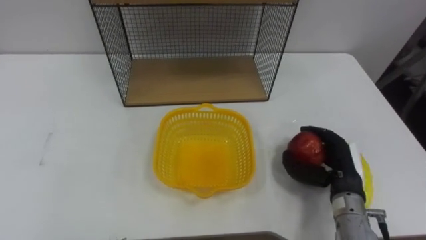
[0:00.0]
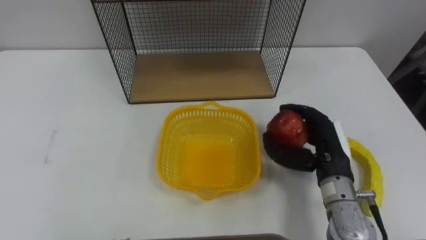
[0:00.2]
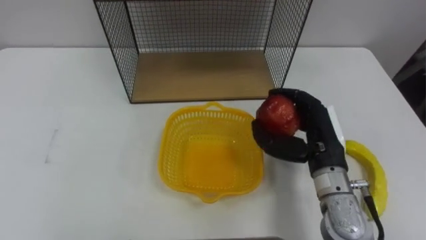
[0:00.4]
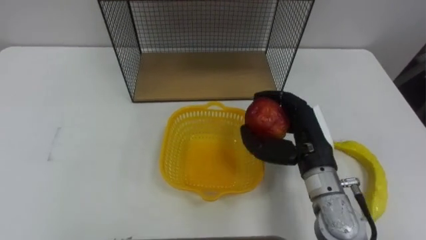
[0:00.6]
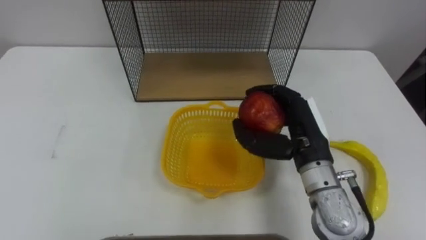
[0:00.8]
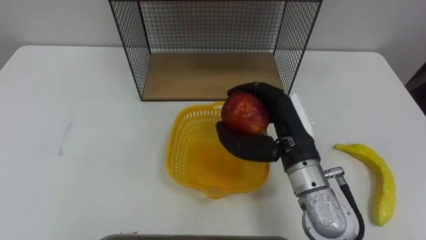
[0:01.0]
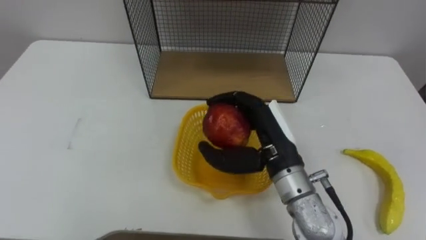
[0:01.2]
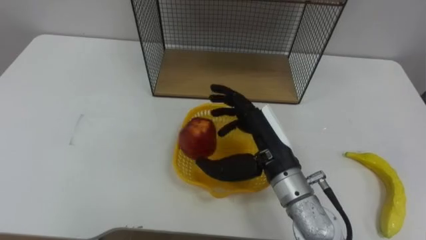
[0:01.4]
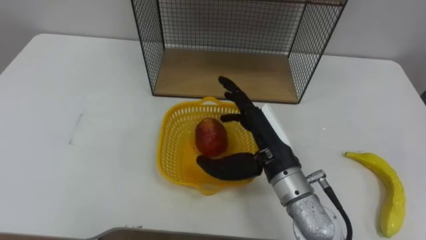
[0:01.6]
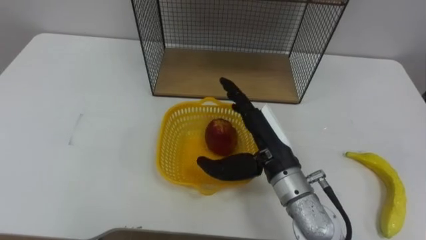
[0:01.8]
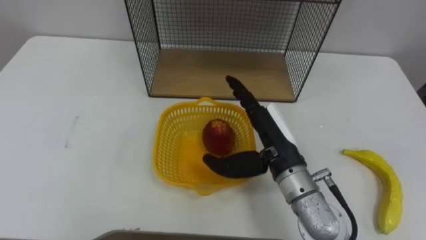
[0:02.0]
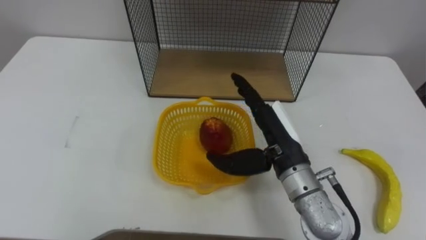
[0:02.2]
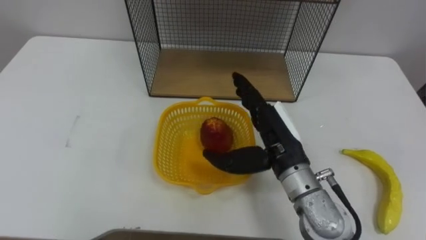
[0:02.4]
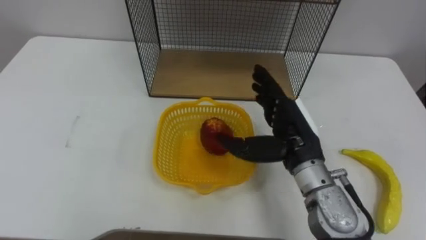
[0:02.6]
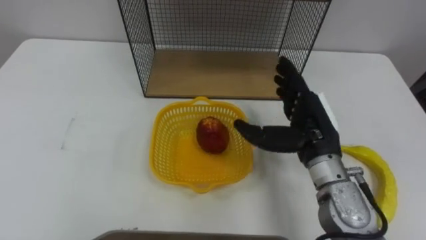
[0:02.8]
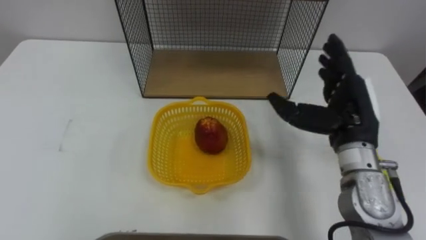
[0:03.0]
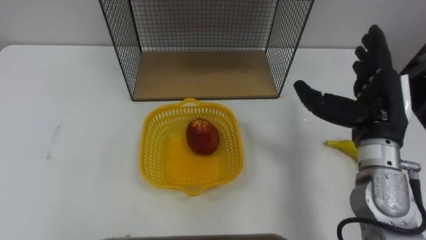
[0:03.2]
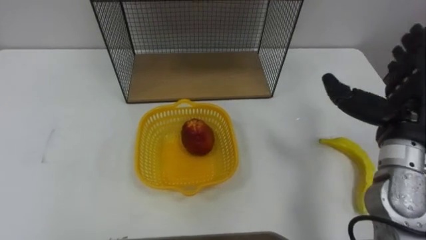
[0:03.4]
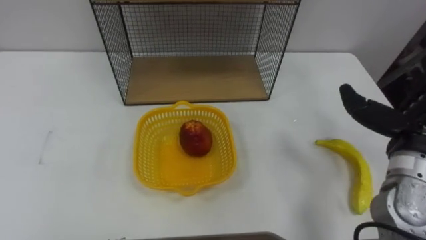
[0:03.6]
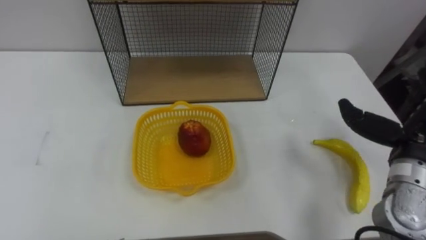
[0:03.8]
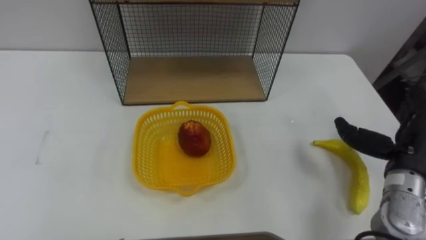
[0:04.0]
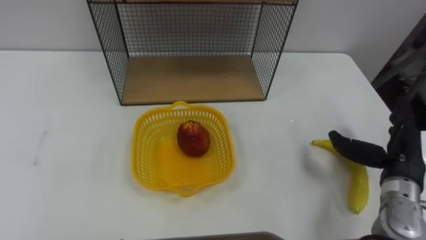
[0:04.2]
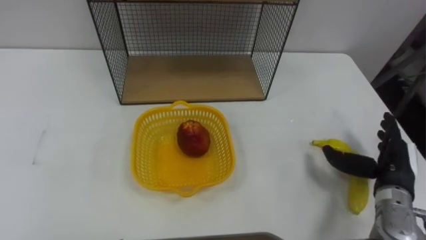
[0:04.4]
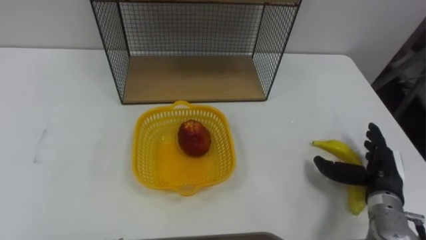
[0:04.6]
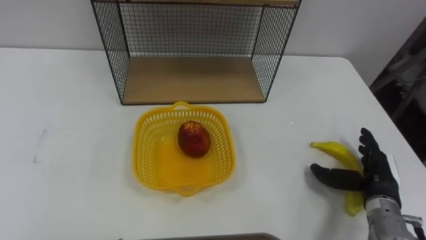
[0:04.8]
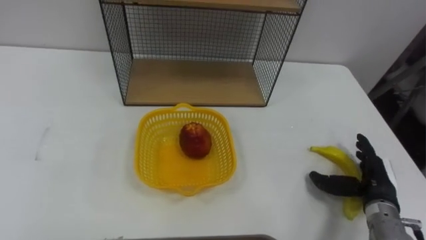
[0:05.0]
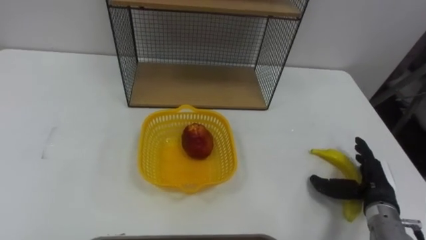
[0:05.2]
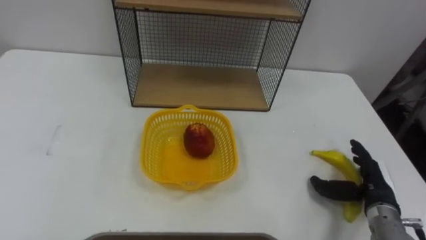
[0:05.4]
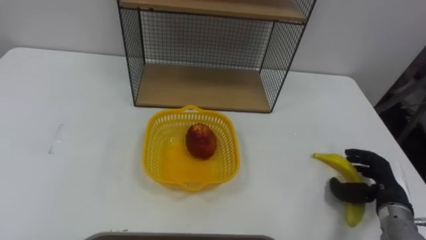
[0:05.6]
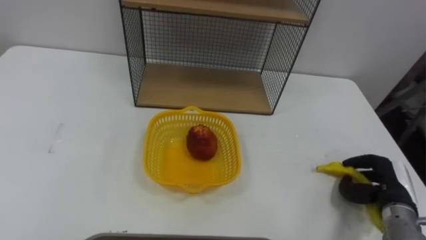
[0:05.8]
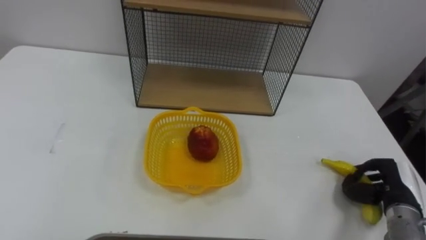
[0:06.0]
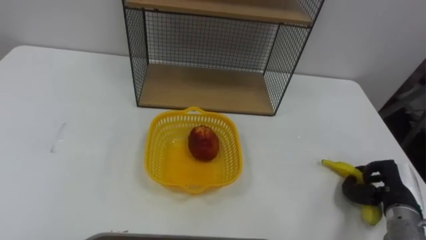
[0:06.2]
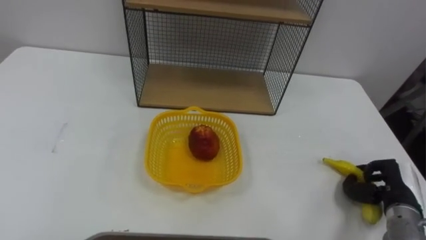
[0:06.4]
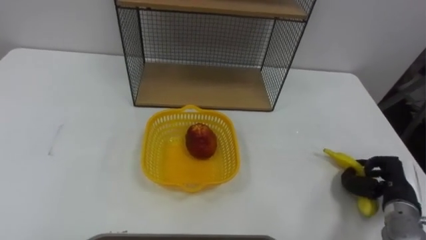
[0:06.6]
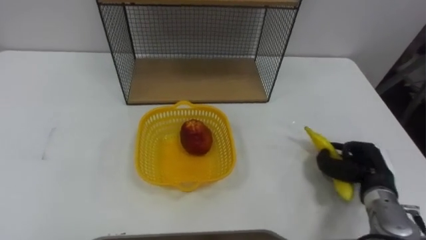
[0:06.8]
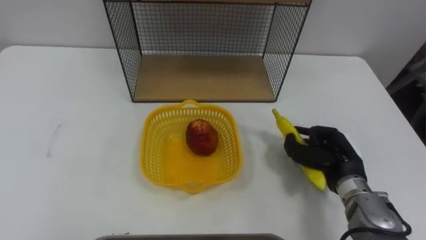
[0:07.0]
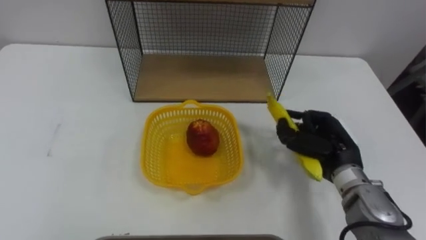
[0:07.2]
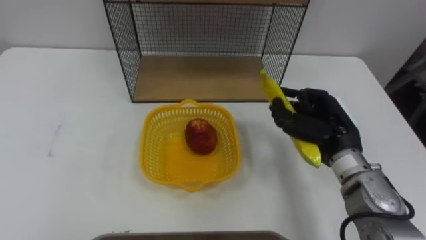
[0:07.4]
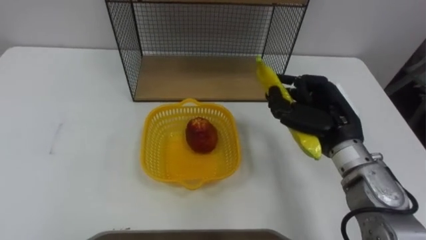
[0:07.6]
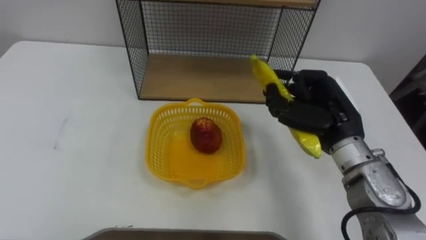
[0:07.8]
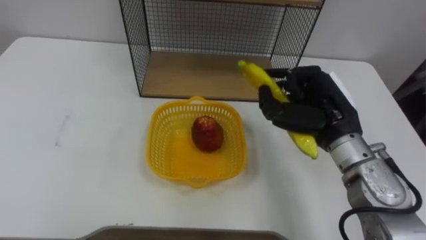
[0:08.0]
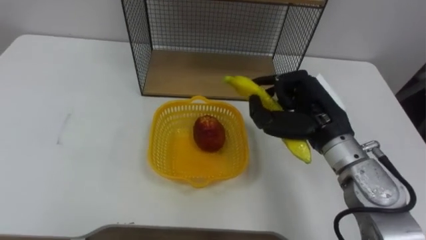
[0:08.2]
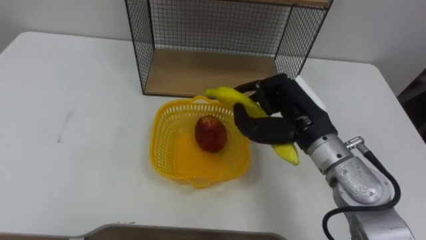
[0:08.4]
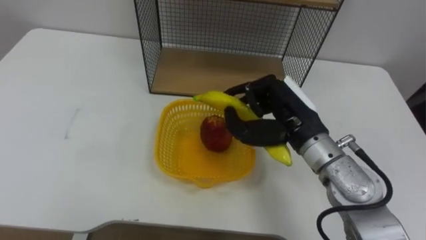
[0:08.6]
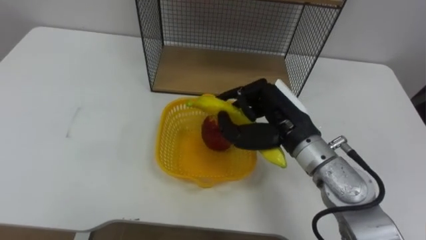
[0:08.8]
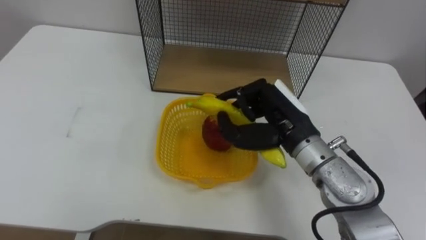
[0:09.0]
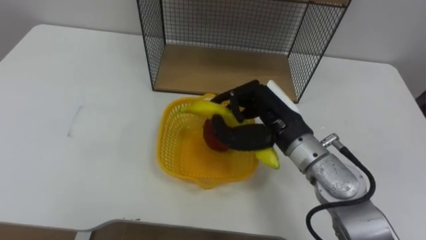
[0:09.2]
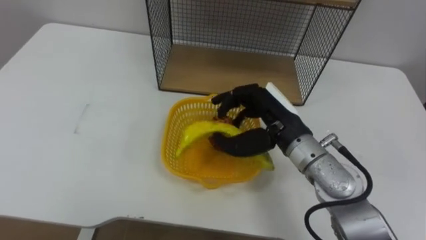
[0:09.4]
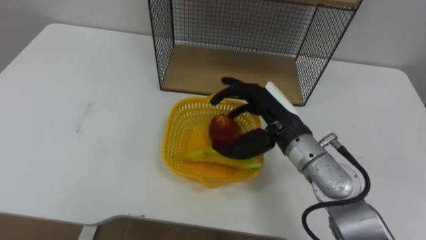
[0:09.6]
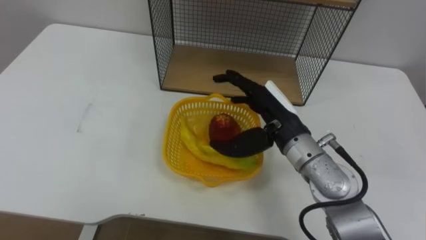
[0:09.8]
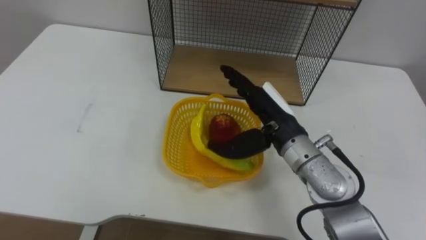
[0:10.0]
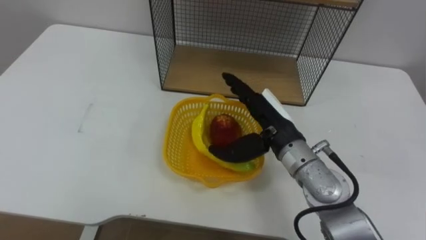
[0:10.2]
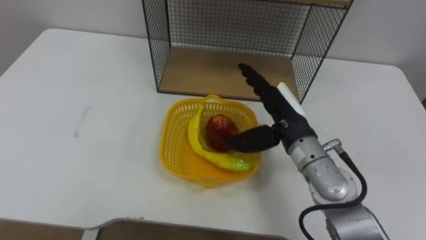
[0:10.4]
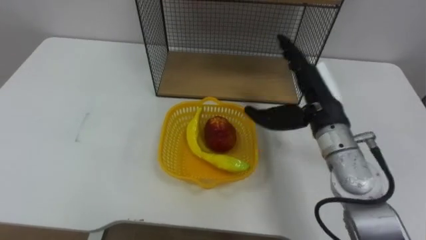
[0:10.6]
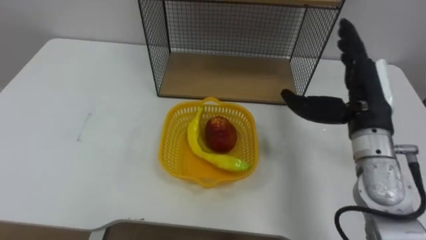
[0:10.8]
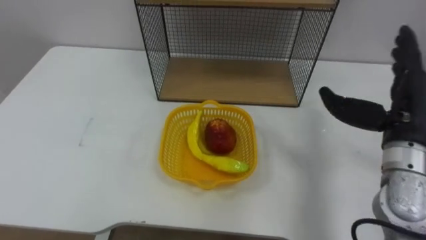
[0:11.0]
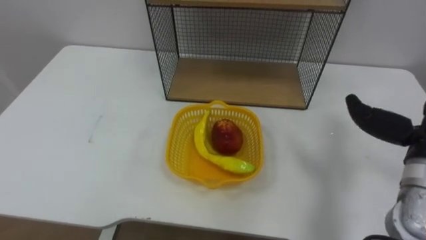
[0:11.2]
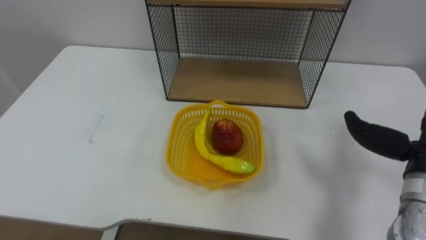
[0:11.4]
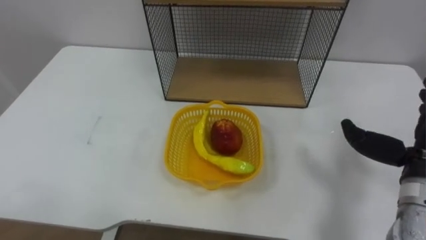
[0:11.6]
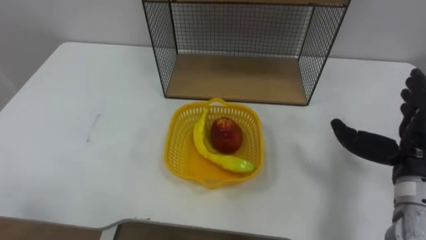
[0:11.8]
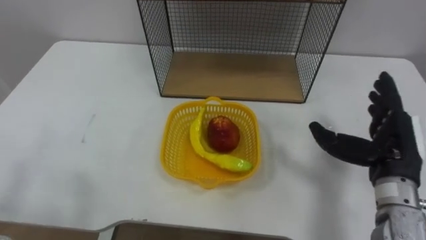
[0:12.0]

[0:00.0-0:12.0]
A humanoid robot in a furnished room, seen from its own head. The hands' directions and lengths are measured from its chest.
Task of the whole recording: Put the fruit on the table into the basket, then place the basket on the shelf.
0.0 to 1.6 s: The right hand moves to the left and upward, some 20 cm, and opens.
1.6 to 3.0 s: The right hand shifts some 10 cm to the right.
3.0 to 4.4 s: The right hand travels to the right and downward by about 15 cm.
4.4 to 6.0 s: The right hand goes approximately 5 cm downward, and closes its fingers.
6.0 to 7.6 s: The right hand is displaced upward, to the left and forward by about 25 cm.
7.6 to 9.0 s: The right hand travels to the left by approximately 10 cm.
9.0 to 10.4 s: The right hand opens.

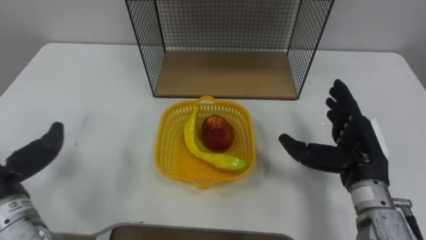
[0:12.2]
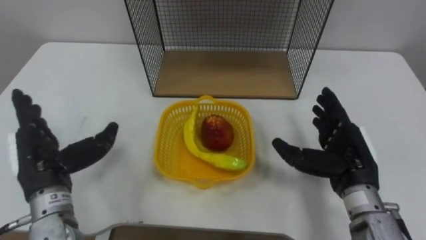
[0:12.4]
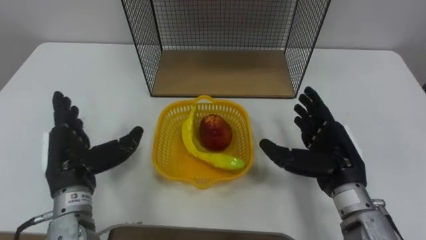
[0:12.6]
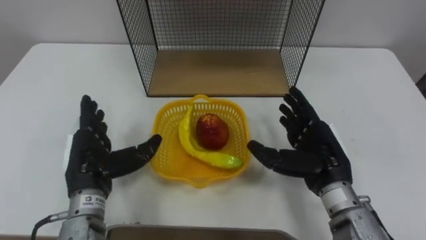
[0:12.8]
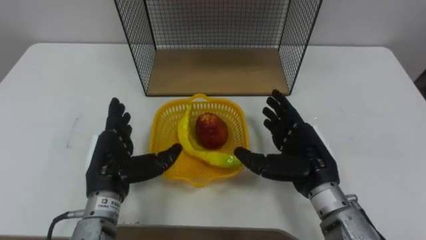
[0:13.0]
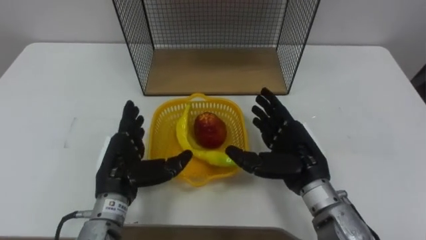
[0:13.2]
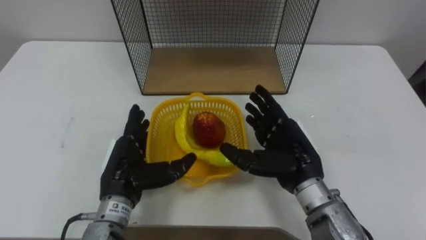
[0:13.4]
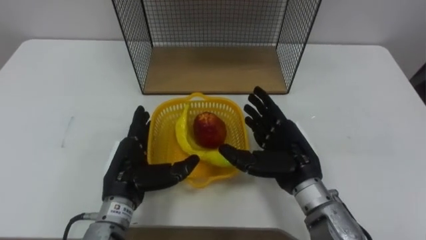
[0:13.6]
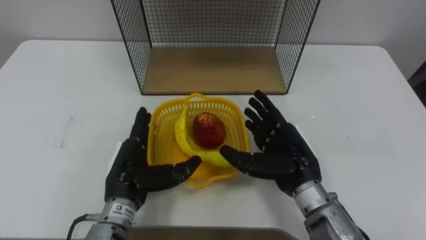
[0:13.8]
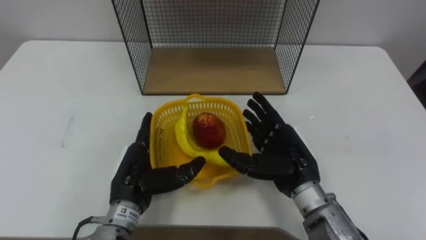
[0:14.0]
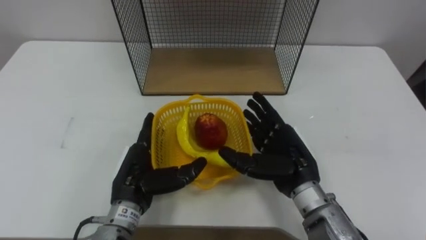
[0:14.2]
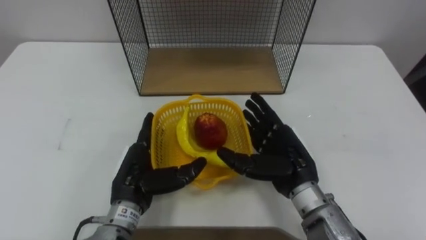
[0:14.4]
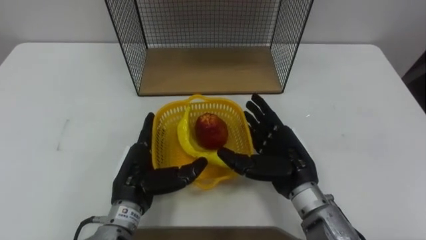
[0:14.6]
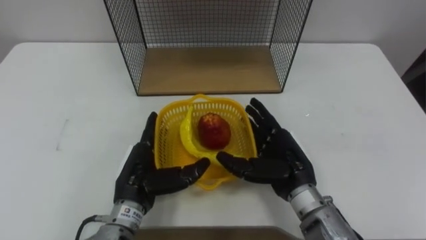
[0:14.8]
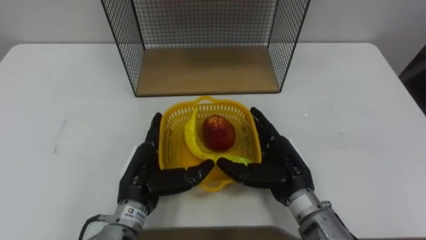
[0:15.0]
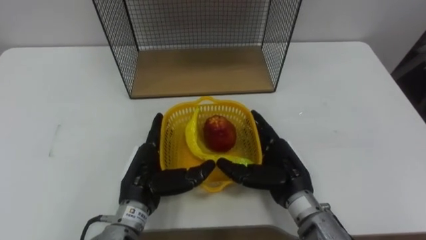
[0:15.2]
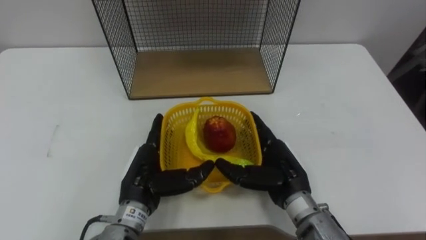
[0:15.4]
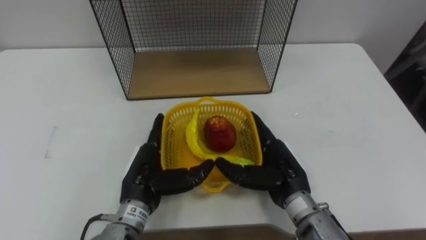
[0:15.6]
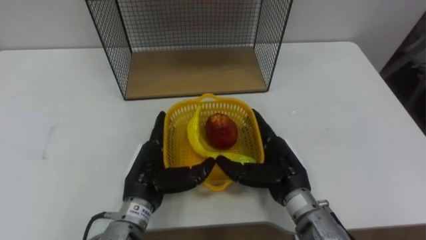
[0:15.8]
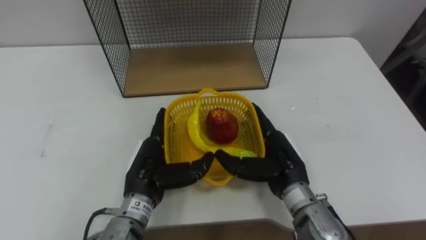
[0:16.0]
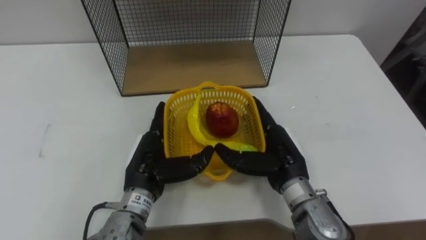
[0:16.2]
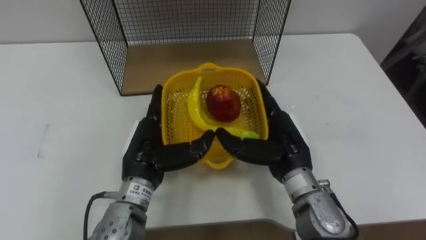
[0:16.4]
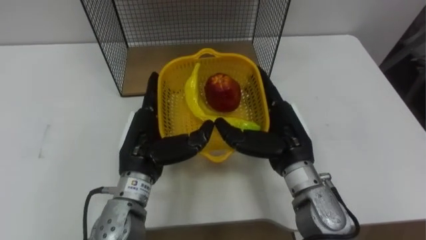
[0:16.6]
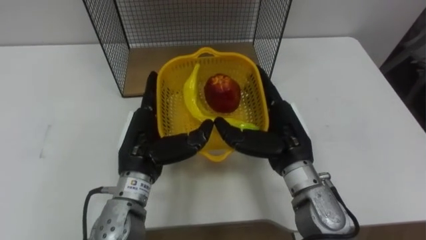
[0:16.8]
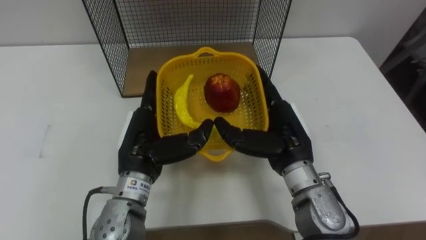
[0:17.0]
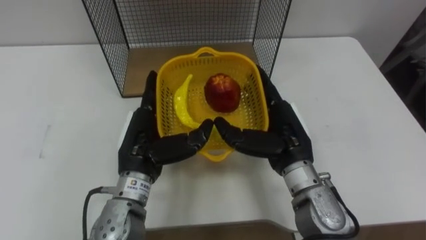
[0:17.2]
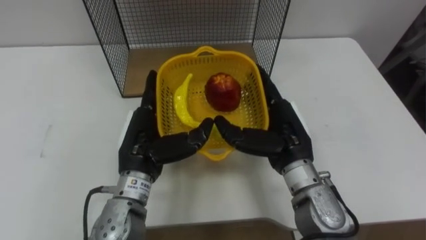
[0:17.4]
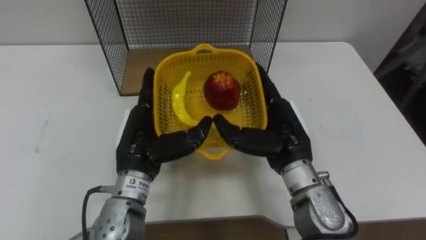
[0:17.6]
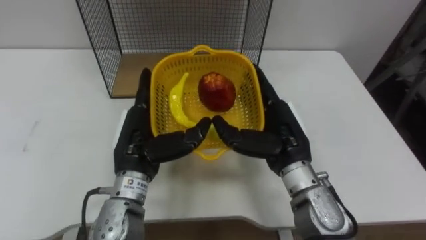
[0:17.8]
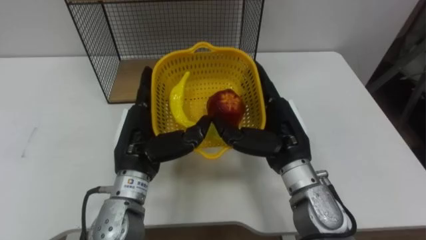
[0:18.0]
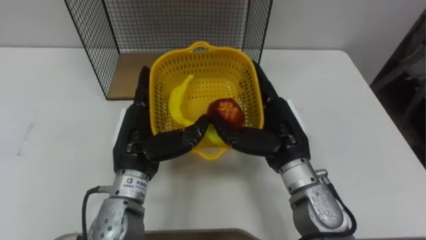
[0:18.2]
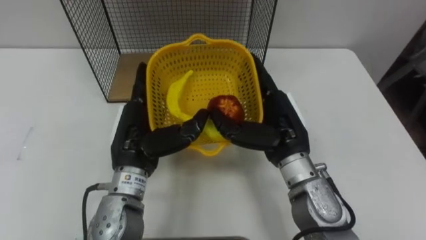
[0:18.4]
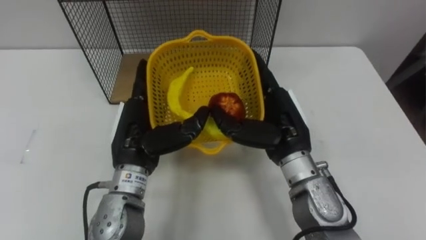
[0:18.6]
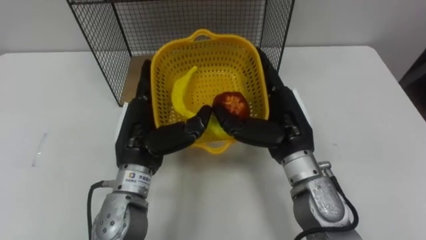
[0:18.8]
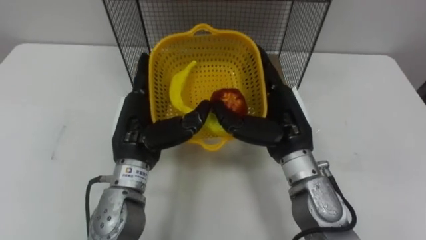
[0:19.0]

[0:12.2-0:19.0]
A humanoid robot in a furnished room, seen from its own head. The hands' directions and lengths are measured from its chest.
Task of the whole recording: Put the fruit on the table into the basket, then place the basket on the shelf.
12.2 to 13.6 s: The right hand goes some 10 cm to the left.
16.2 to 17.6 s: Both hands move upward, about 5 cm.
